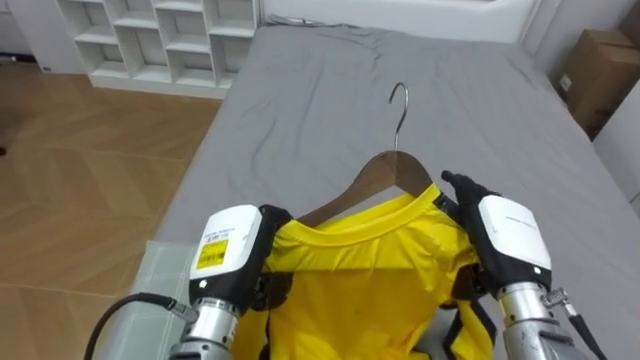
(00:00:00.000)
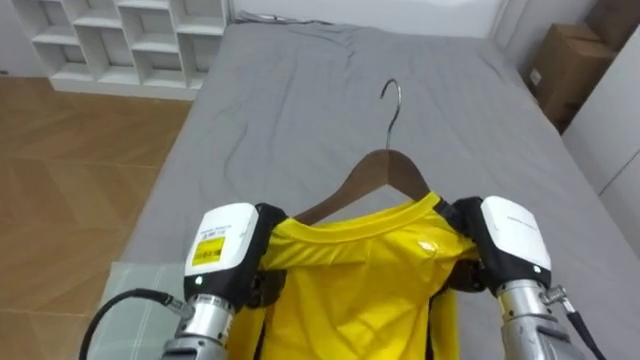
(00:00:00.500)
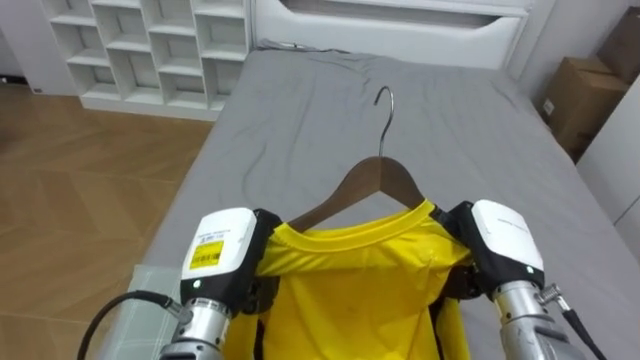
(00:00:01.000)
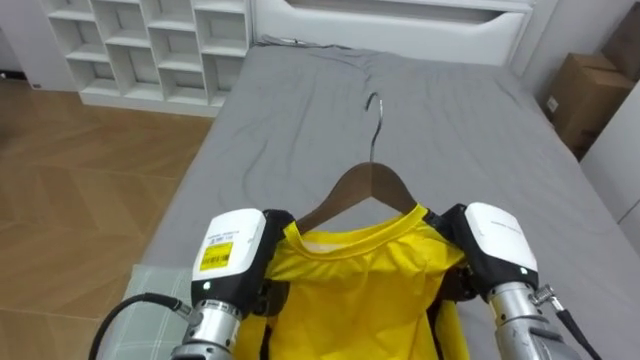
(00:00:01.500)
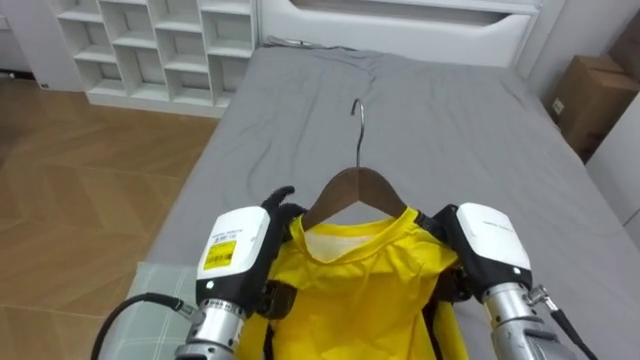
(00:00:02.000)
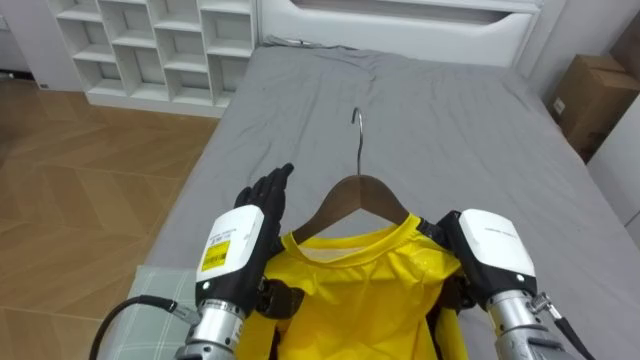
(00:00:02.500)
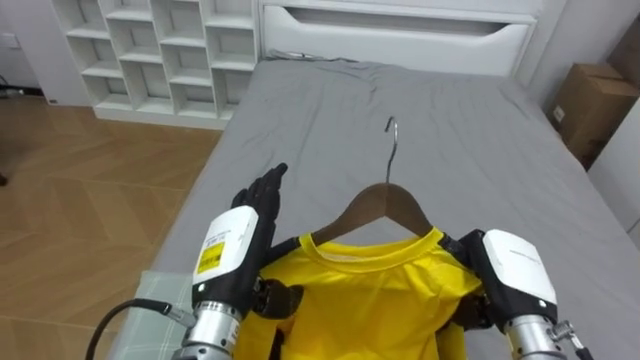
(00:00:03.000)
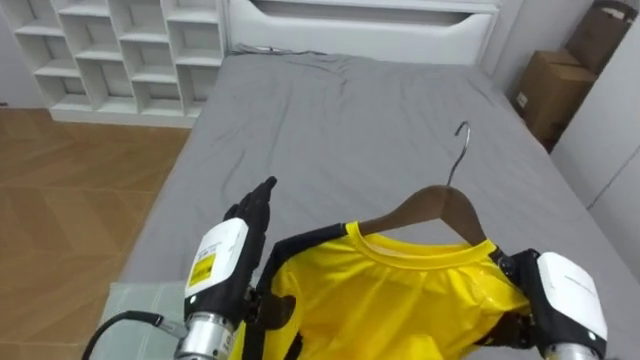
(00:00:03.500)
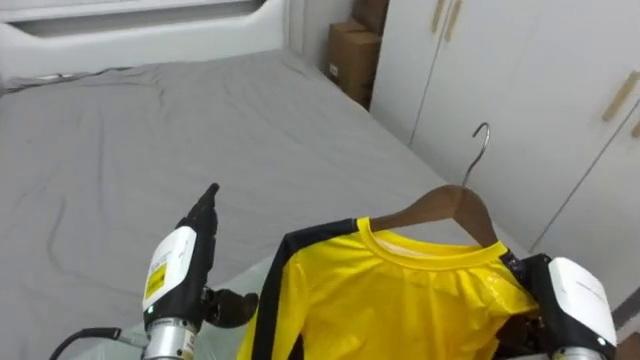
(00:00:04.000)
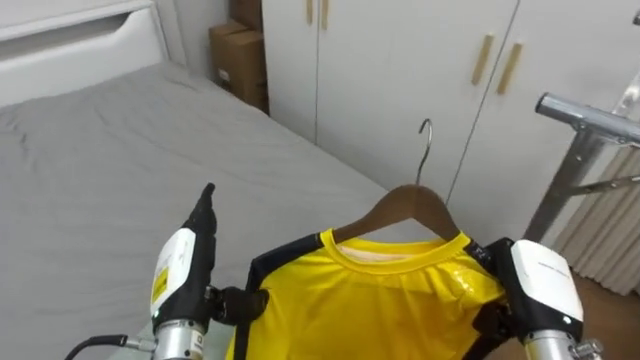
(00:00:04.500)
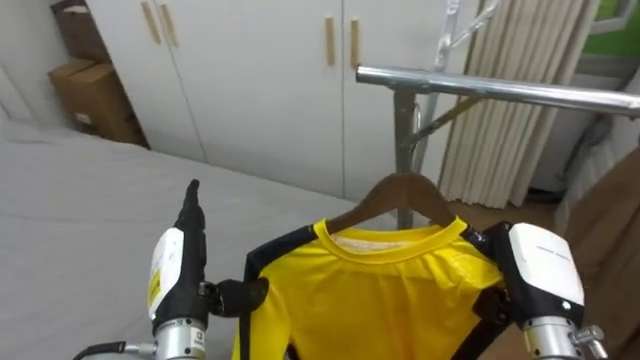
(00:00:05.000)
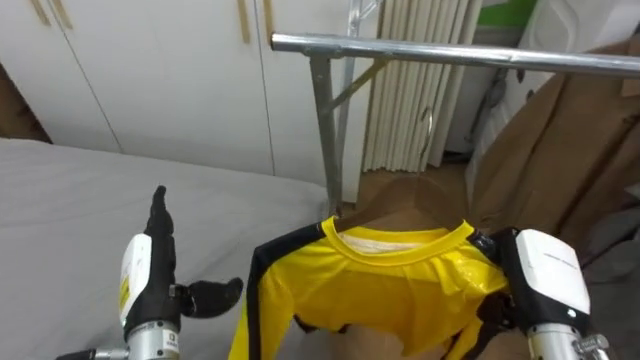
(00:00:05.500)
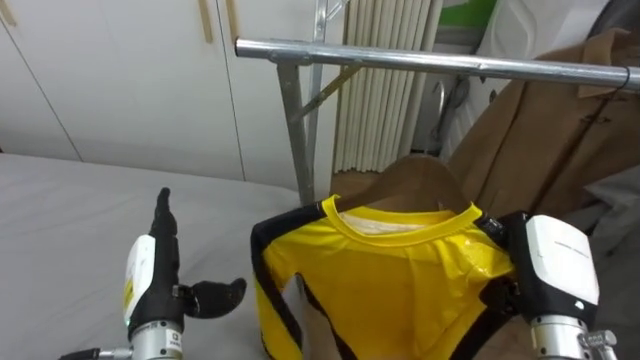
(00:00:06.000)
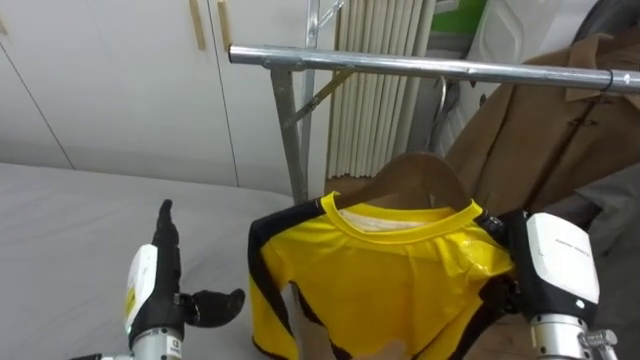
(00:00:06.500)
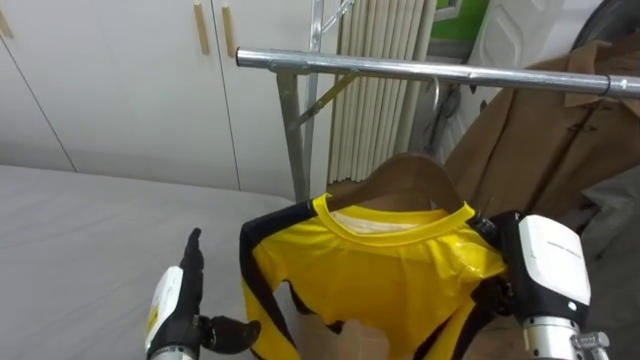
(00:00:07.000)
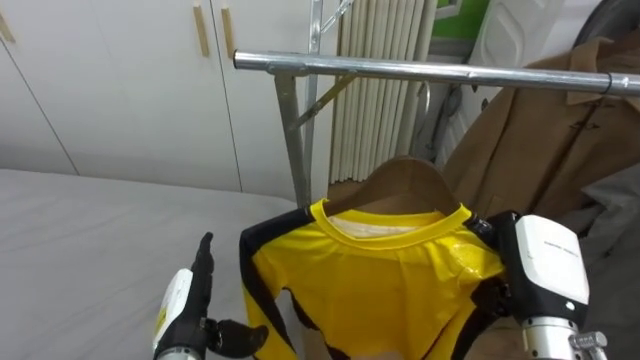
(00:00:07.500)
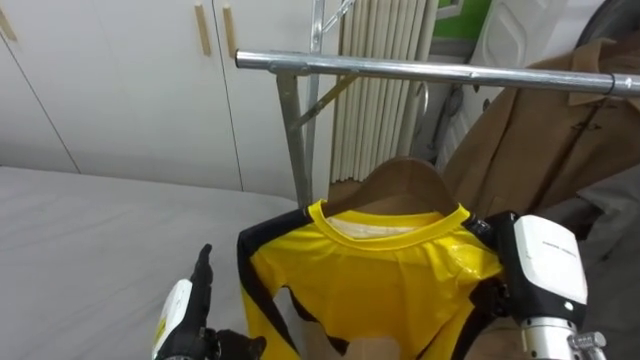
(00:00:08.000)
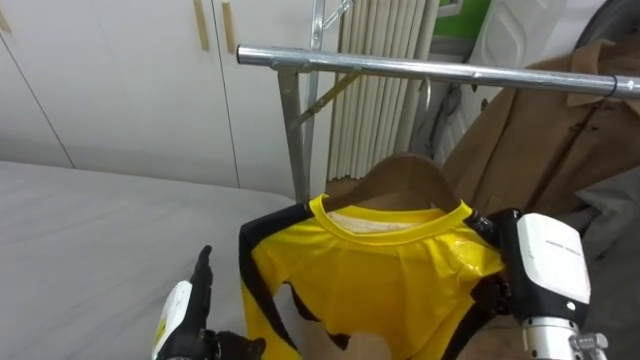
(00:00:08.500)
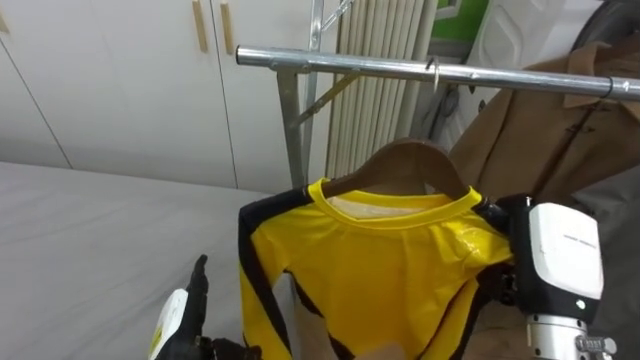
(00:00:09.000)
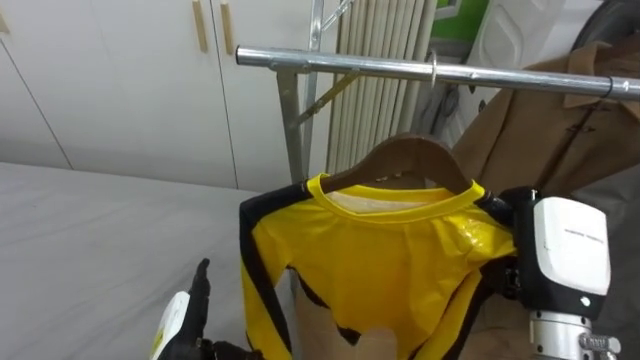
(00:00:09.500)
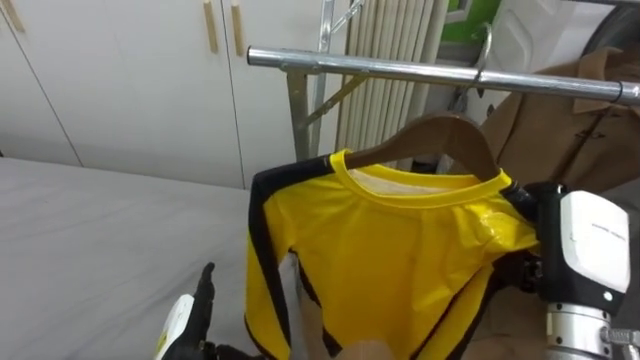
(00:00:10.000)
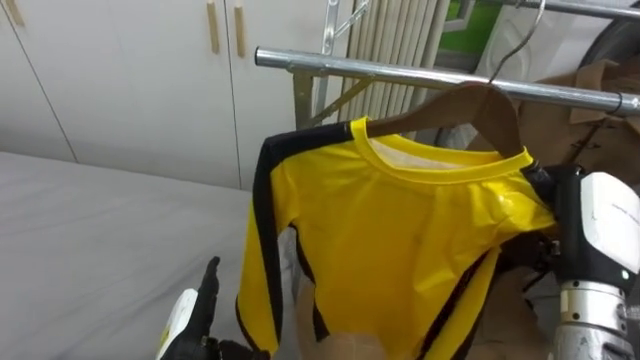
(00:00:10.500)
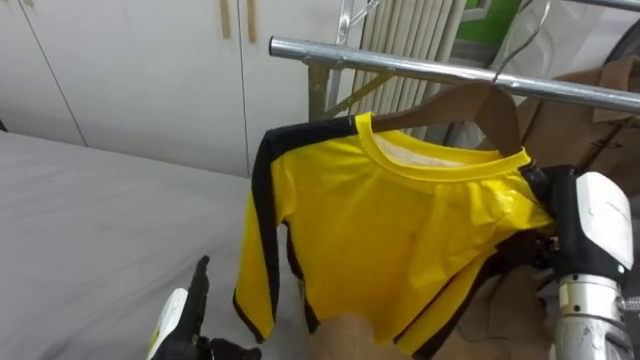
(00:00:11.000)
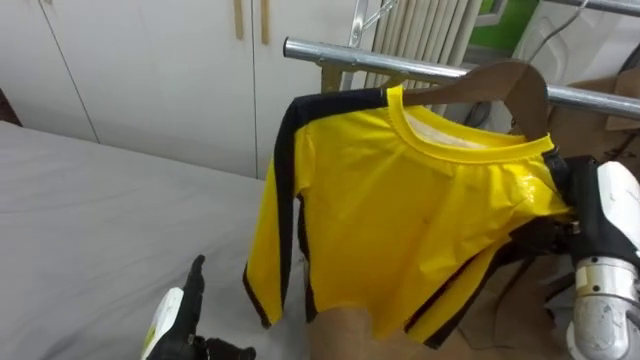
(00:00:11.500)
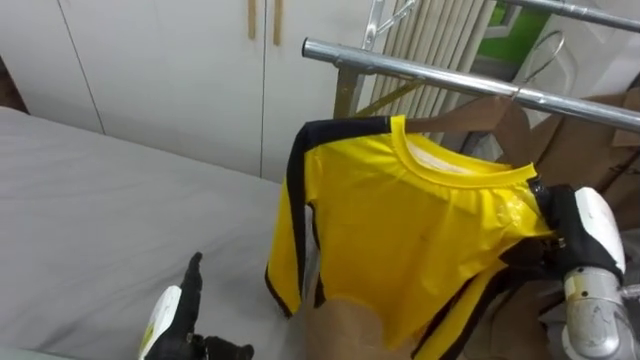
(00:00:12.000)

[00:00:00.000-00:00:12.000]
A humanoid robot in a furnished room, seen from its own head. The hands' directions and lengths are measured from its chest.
Task of the whole recording: Pick up the yellow shirt on the bed and hang it on the clothes rack on the right.
00:00:00.000 to 00:00:02.000: The right hand closes its fingers. The left hand opens.
00:00:02.000 to 00:00:04.000: The robot rotates about 35 degrees to its right. The right hand shifts about 10 cm to the right and backward, while the left hand travels to the left by about 5 cm.
00:00:04.000 to 00:00:06.000: The robot rotates approximately 60 degrees to its right. The right hand travels upward by some 5 cm.
00:00:06.000 to 00:00:08.000: The left hand heads downward, covering about 5 cm.
00:00:10.000 to 00:00:12.000: The right hand shifts approximately 5 cm forward.

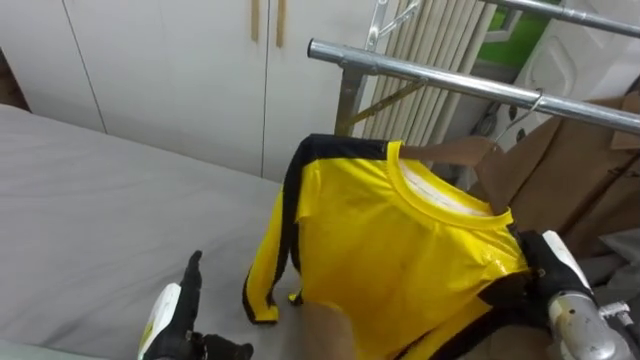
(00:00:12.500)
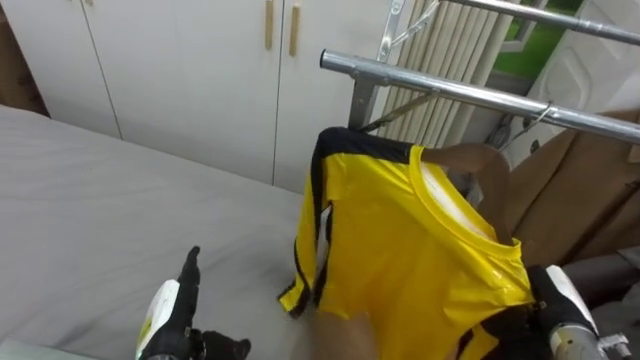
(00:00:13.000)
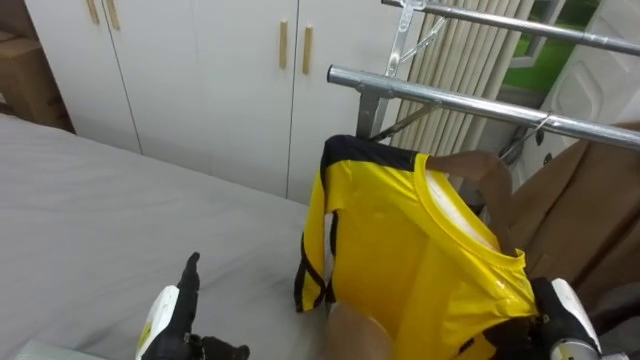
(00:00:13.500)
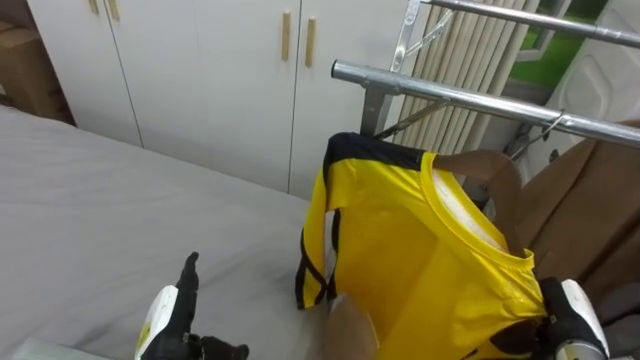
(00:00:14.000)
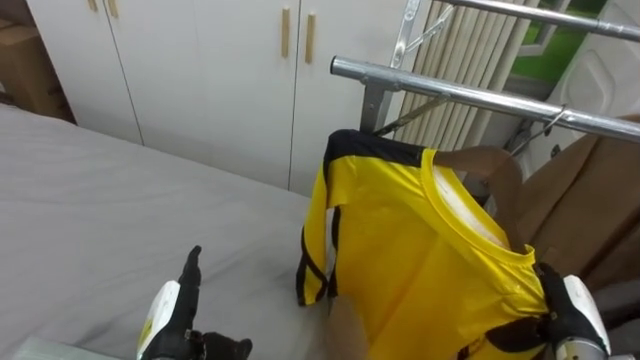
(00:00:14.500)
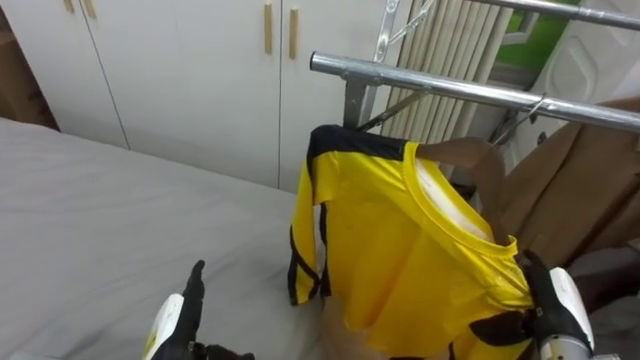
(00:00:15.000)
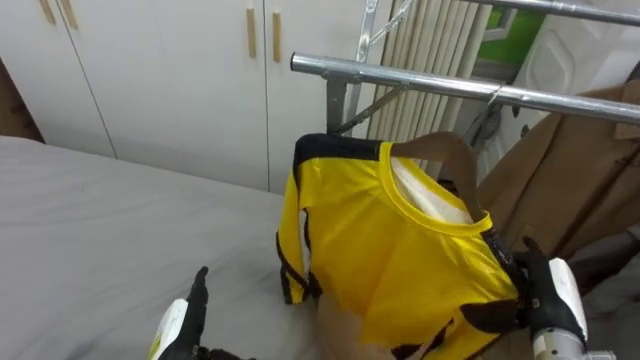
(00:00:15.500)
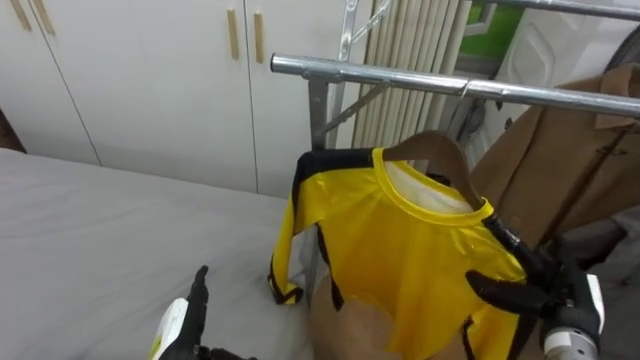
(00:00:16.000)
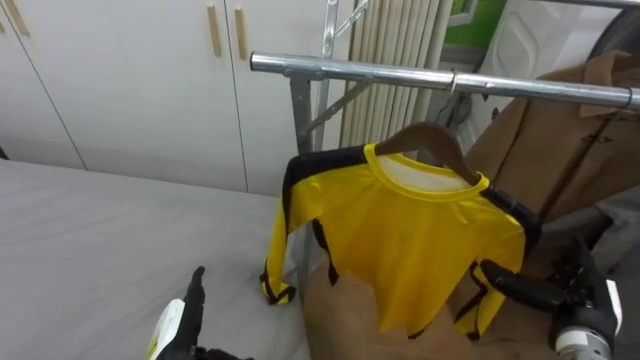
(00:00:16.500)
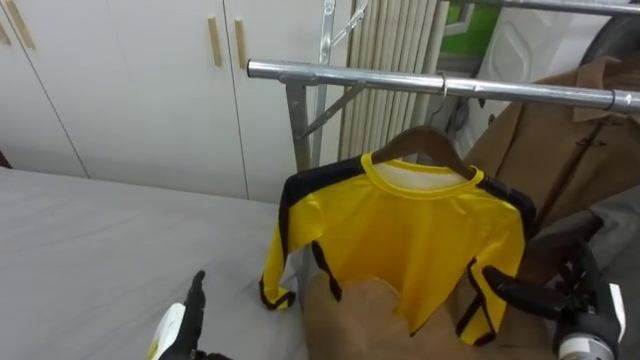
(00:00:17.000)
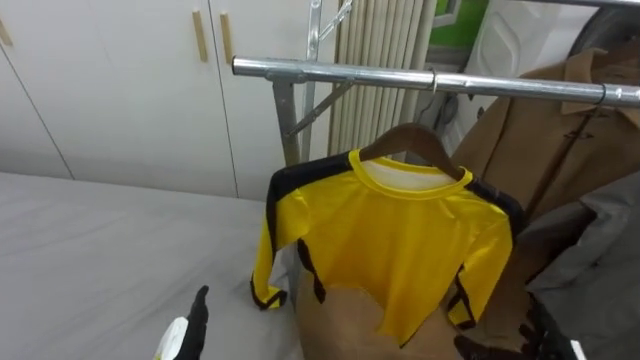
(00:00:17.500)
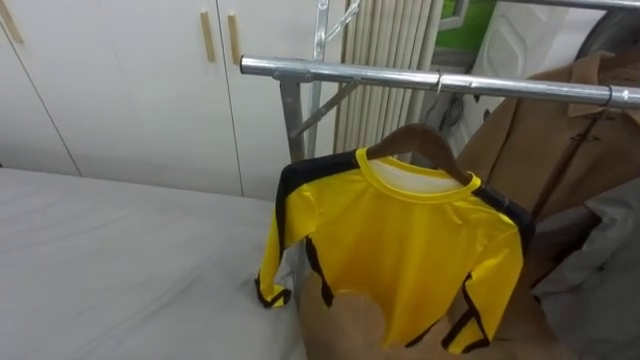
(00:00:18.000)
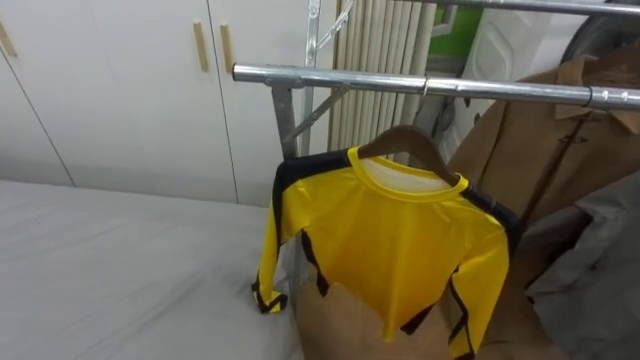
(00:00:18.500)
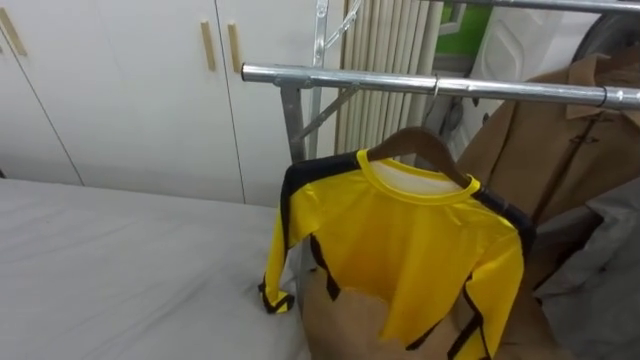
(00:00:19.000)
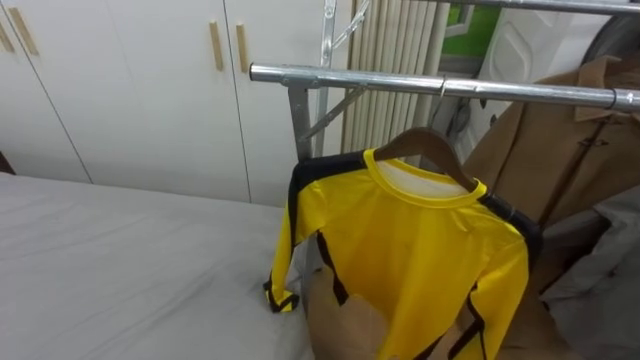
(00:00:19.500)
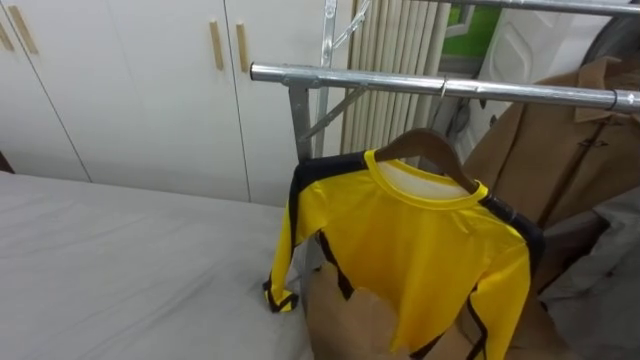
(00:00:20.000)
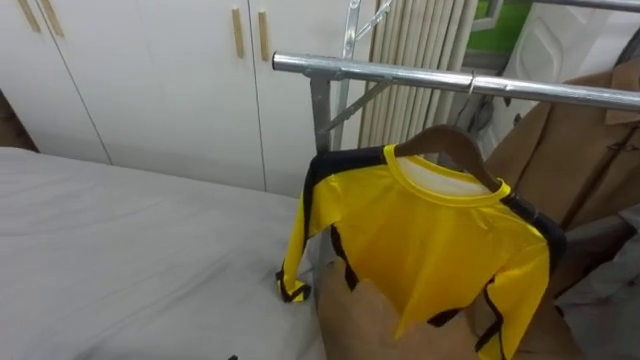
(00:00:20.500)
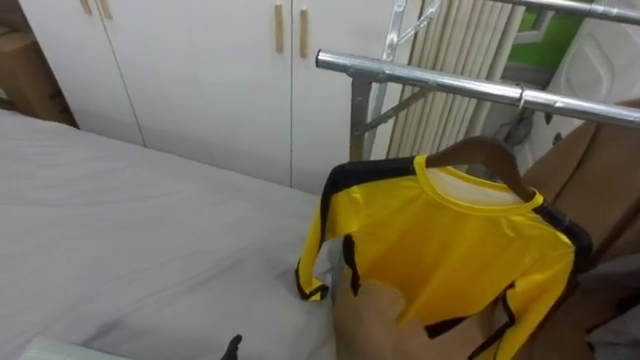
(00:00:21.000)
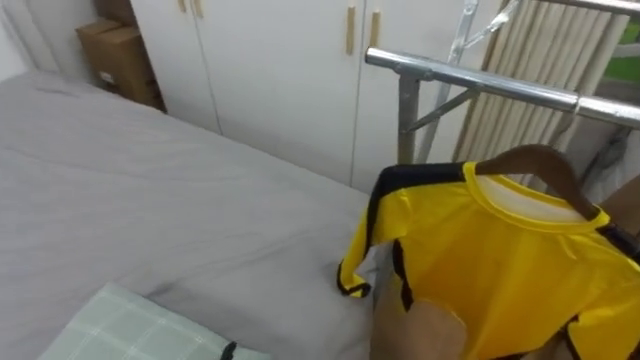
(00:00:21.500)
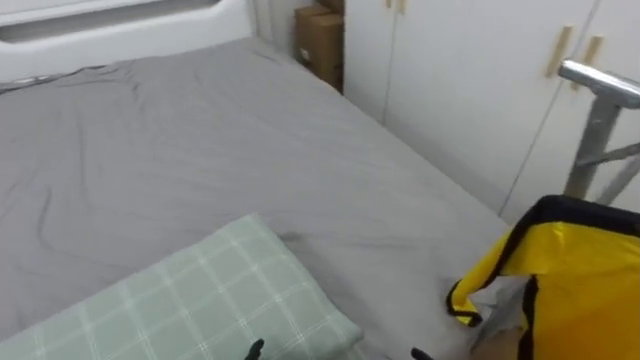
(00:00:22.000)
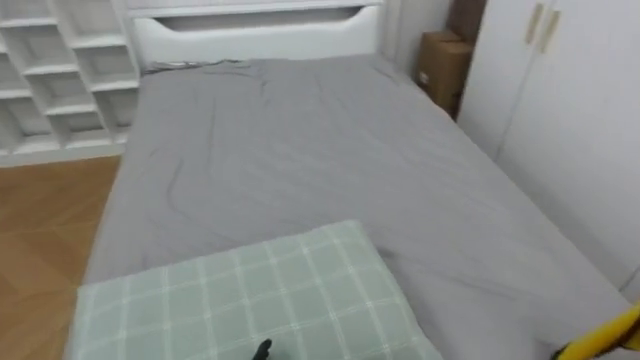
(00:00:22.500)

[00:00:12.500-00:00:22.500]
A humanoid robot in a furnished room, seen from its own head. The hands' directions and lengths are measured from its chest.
Task of the whole recording: Pick up the yellow shirt on the bed and hang it on the clothes rack on the right.
00:00:12.500 to 00:00:14.500: The right hand moves approximately 5 cm, and opens up.
00:00:20.500 to 00:00:22.500: The robot turns to its left by approximately 65 degrees.
